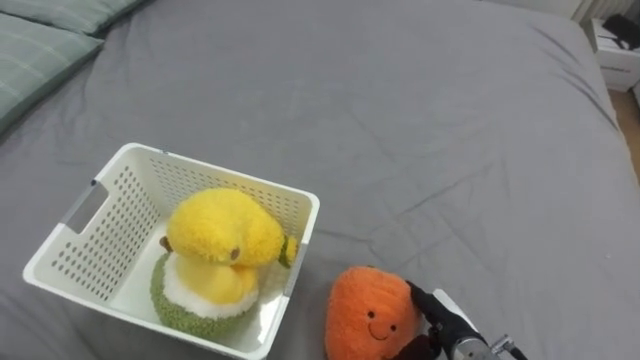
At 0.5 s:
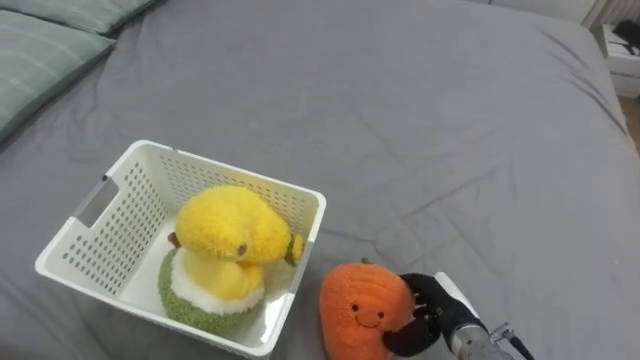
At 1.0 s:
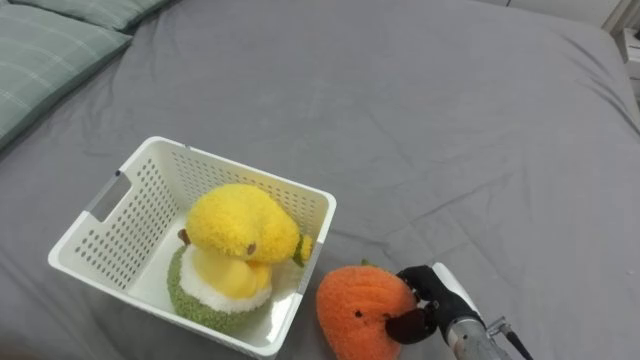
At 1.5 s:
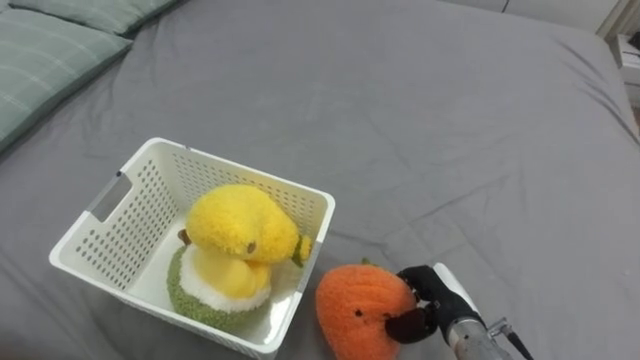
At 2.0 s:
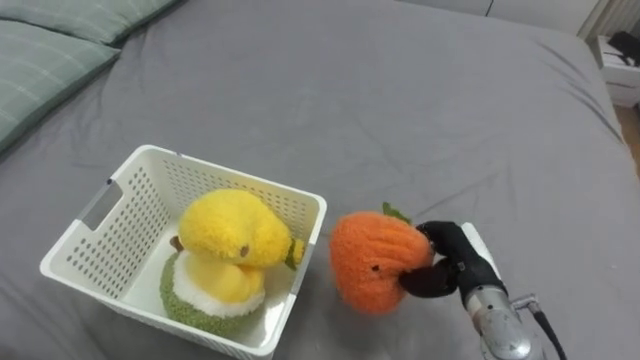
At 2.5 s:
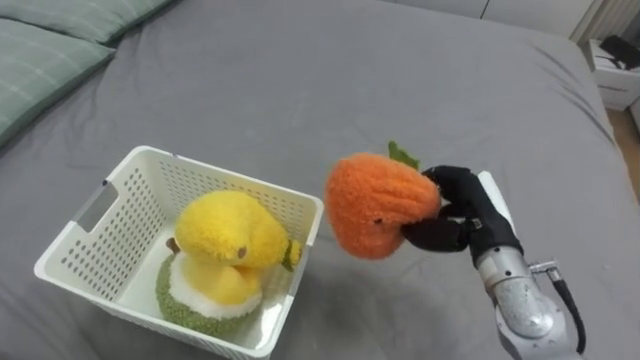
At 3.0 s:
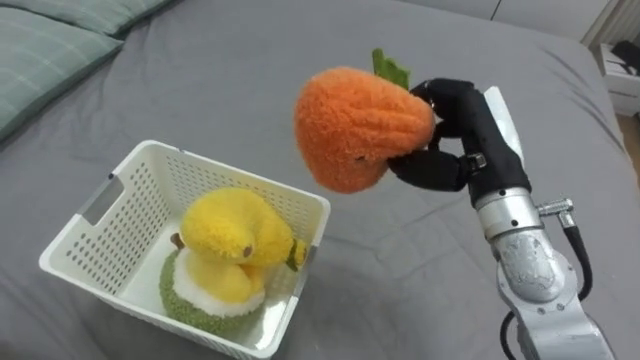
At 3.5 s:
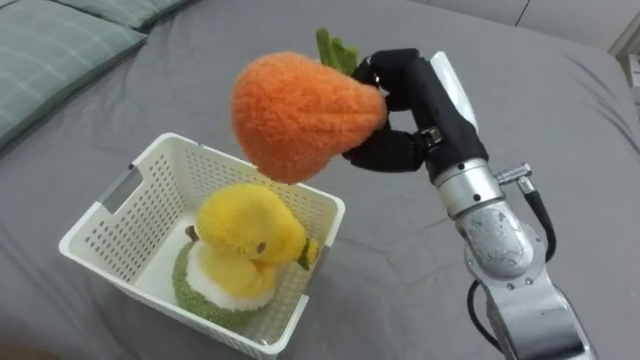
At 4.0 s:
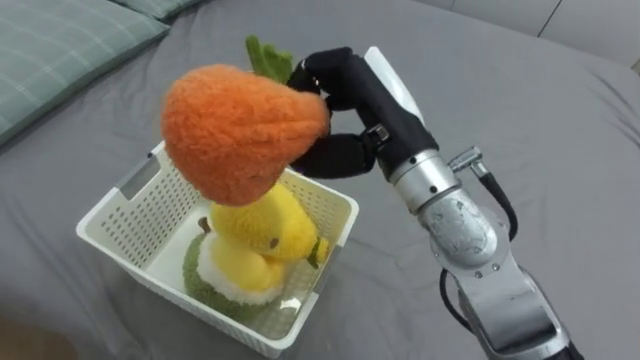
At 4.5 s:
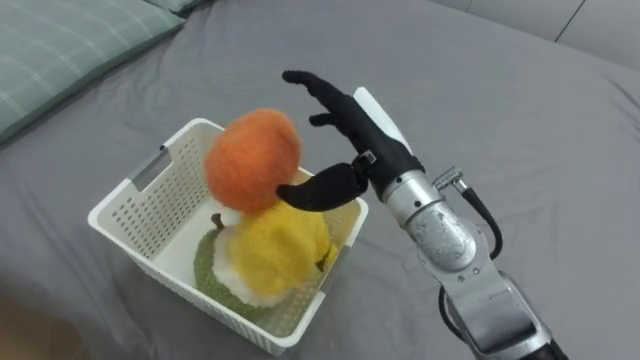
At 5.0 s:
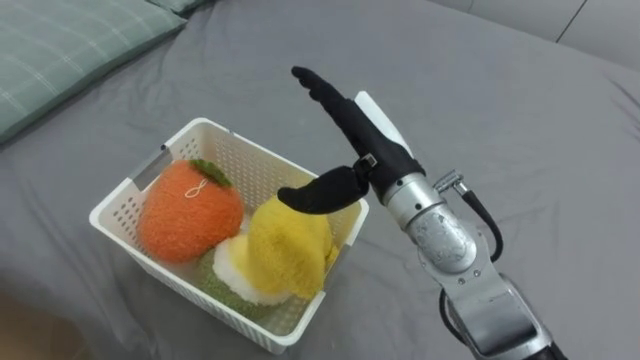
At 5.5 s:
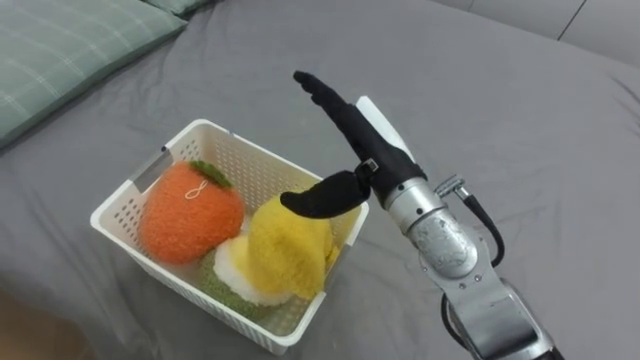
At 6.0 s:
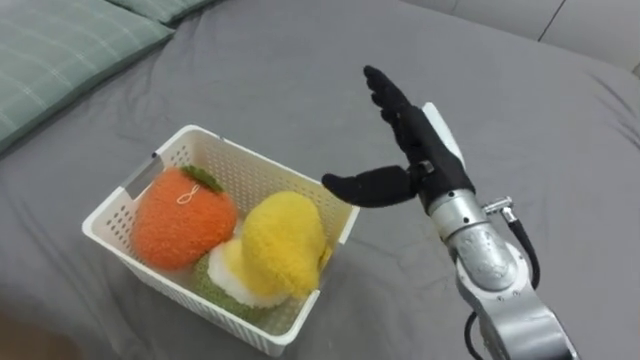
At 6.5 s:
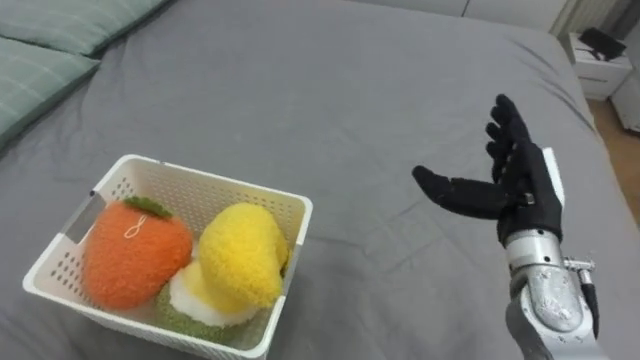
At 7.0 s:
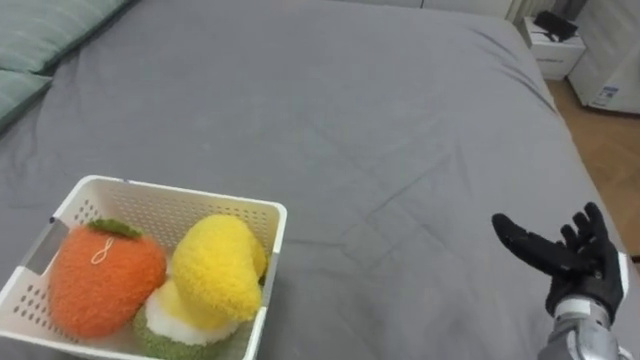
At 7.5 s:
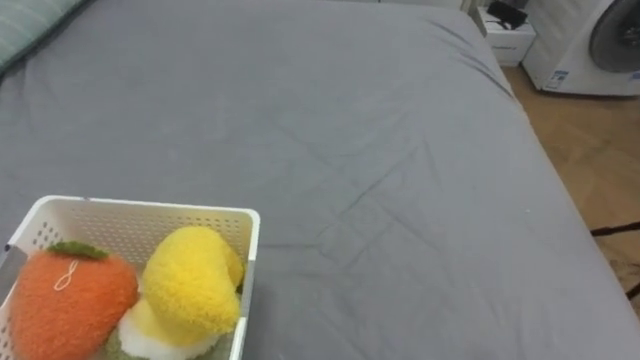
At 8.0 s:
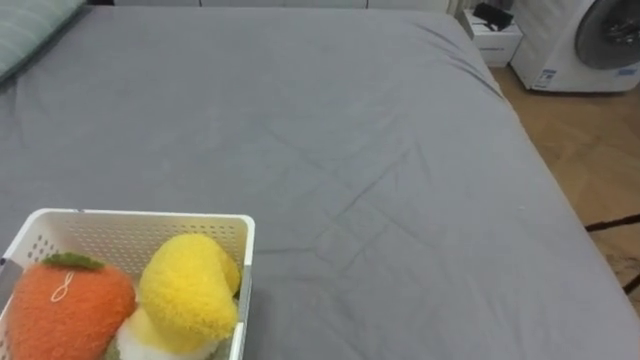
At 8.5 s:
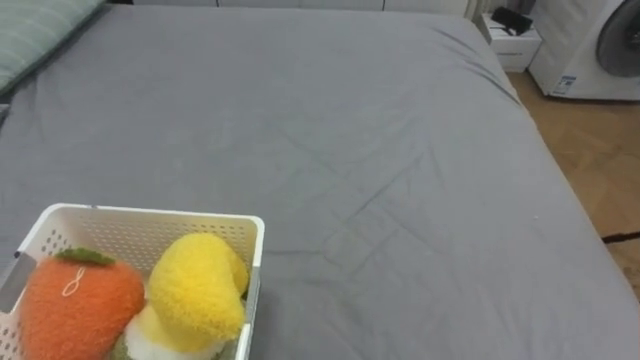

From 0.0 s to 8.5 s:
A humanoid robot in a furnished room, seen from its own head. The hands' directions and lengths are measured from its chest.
Task of the whole recording: Put the toys on the bed into the basket on the left.
From 0.0 s to 2.0 s: The right hand moves upward and forward, some 10 cm, and closes up.
From 2.0 s to 4.0 s: The right hand moves upward and to the left, some 25 cm.
From 4.0 s to 6.5 s: The right hand heads to the right and downward, covering approximately 20 cm, and opens its fingers.

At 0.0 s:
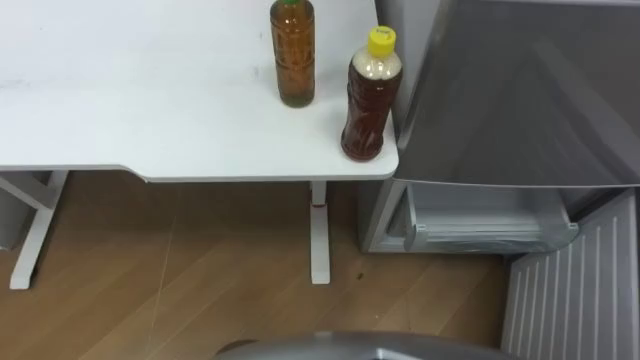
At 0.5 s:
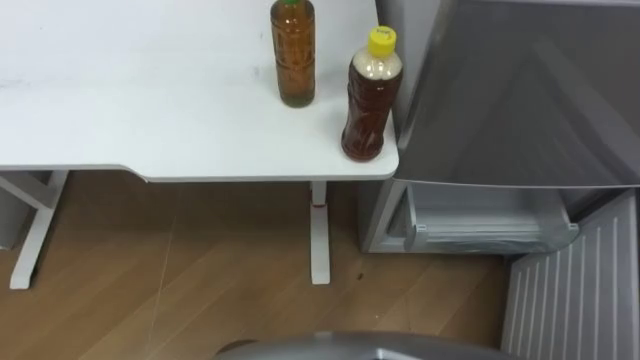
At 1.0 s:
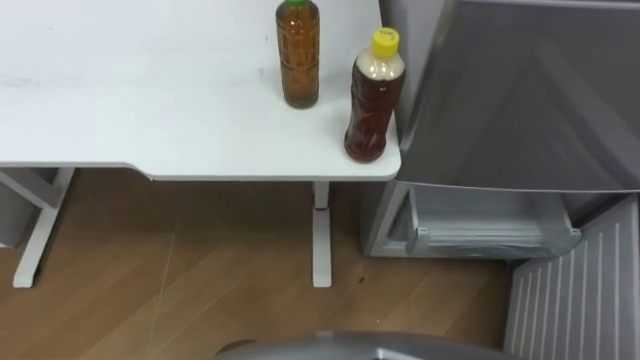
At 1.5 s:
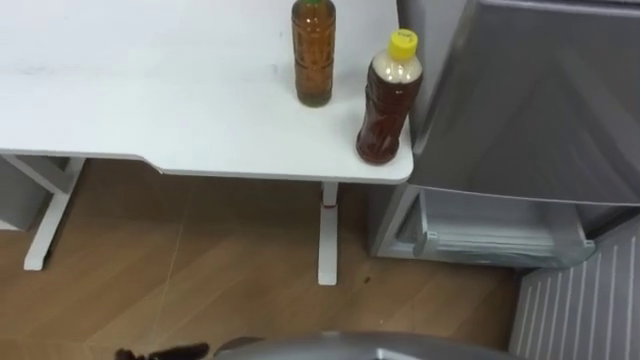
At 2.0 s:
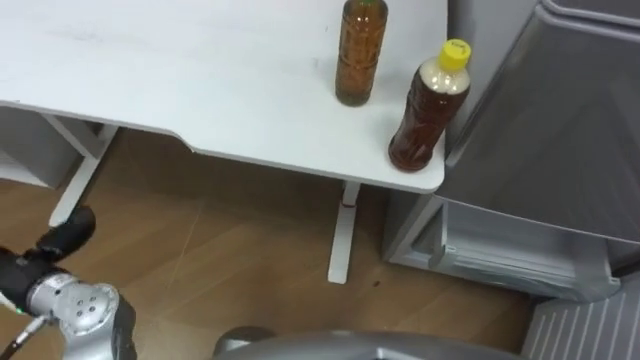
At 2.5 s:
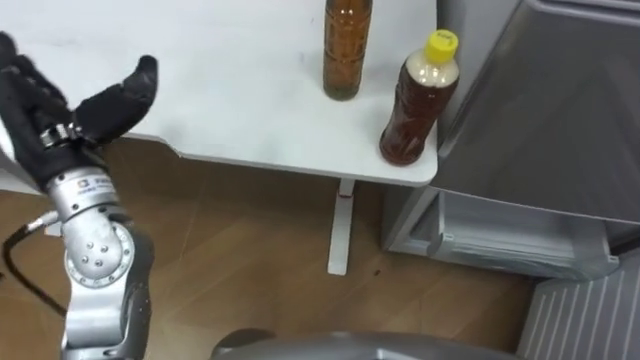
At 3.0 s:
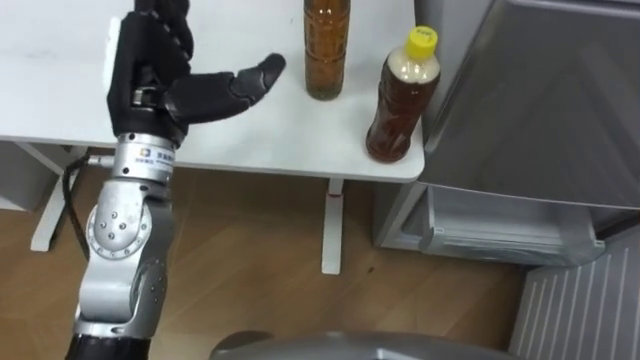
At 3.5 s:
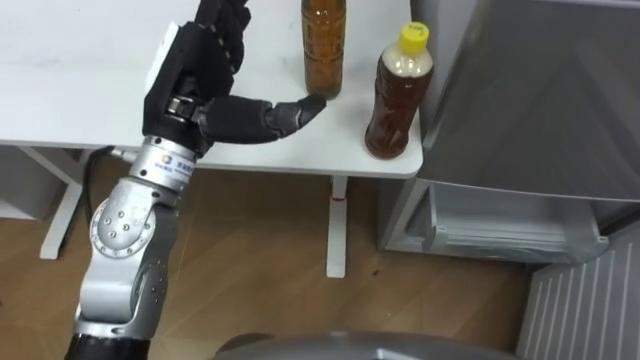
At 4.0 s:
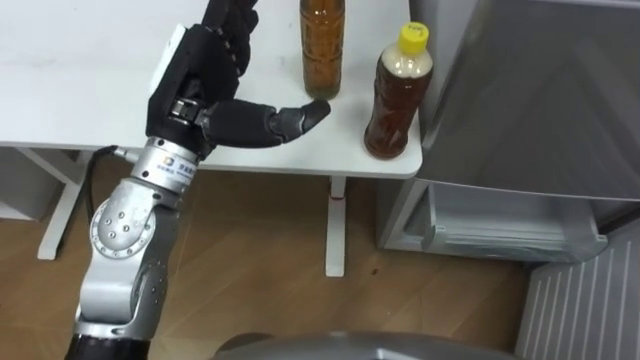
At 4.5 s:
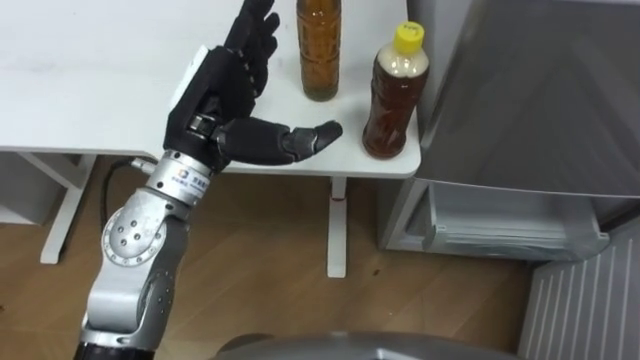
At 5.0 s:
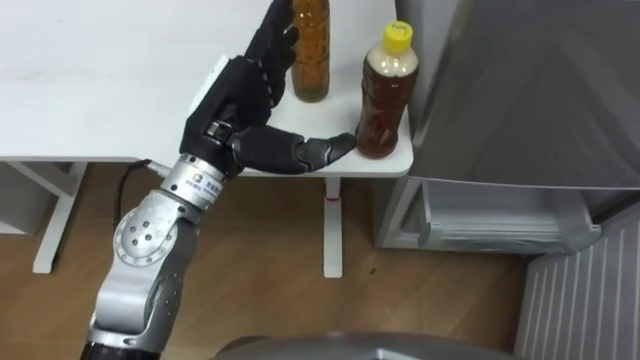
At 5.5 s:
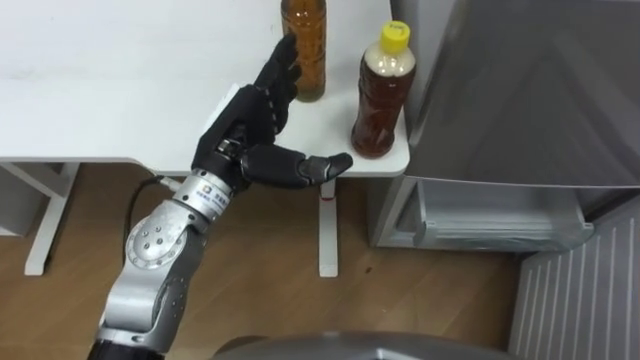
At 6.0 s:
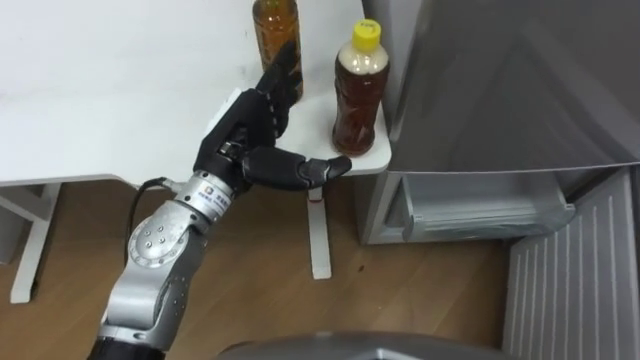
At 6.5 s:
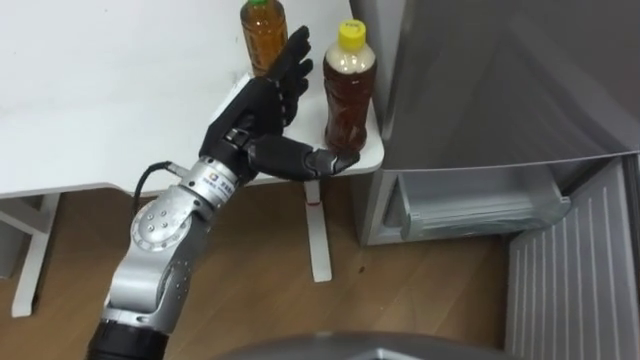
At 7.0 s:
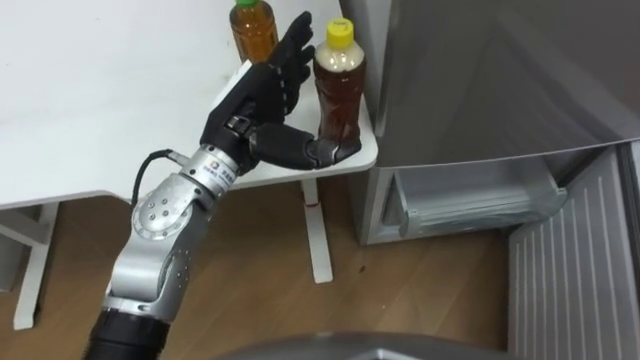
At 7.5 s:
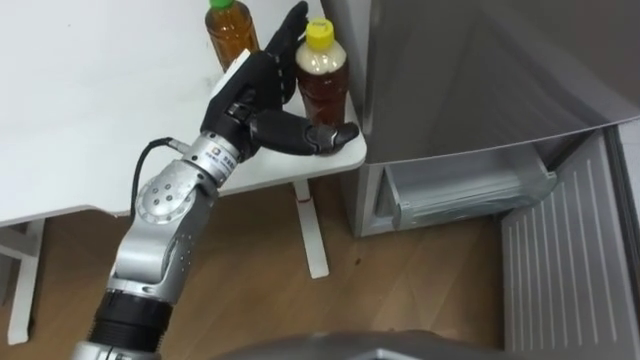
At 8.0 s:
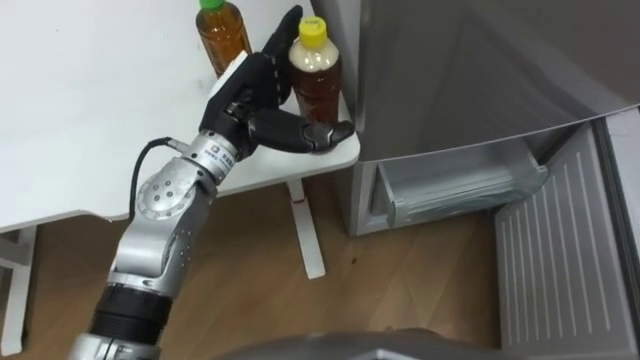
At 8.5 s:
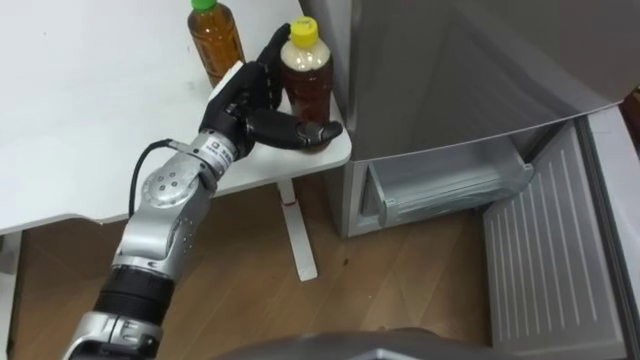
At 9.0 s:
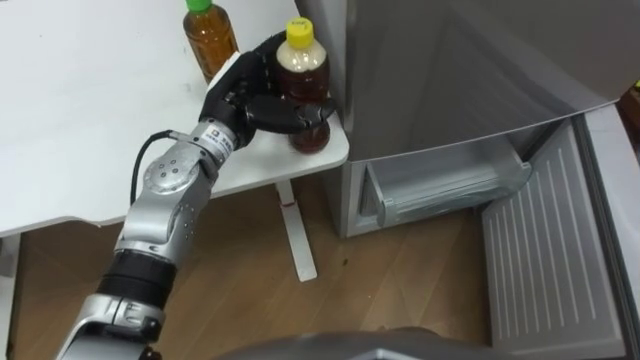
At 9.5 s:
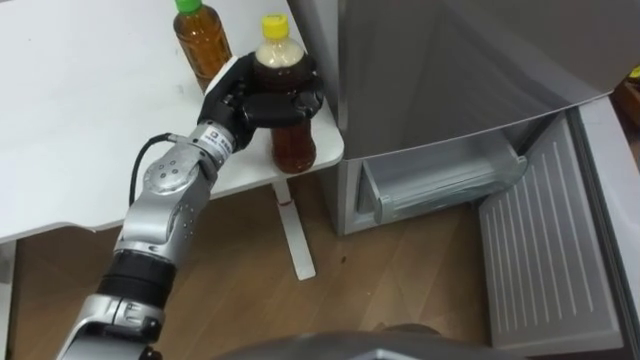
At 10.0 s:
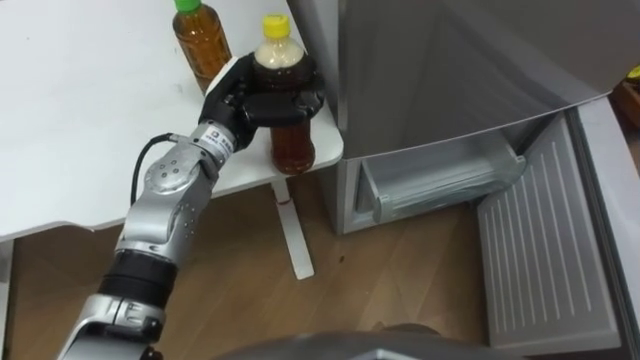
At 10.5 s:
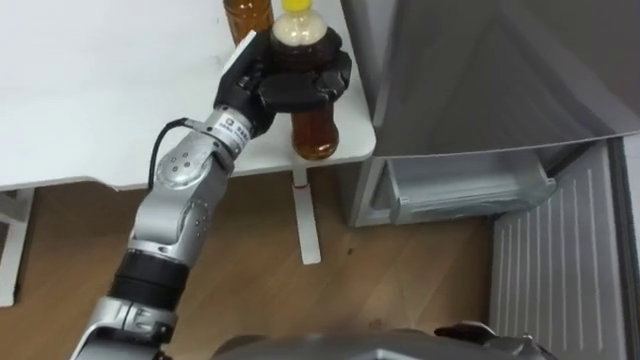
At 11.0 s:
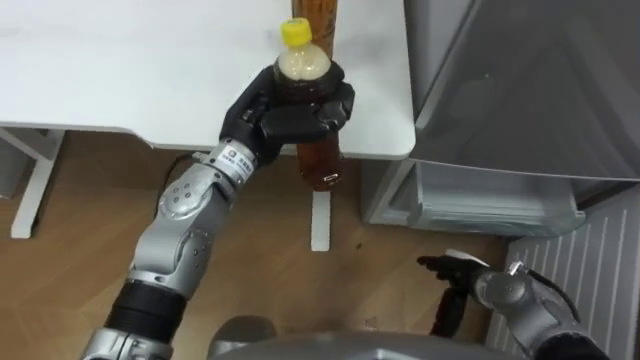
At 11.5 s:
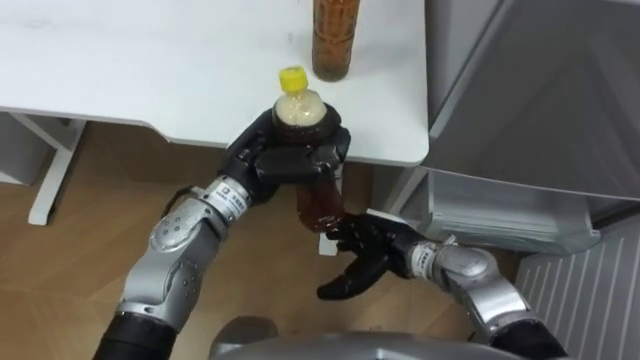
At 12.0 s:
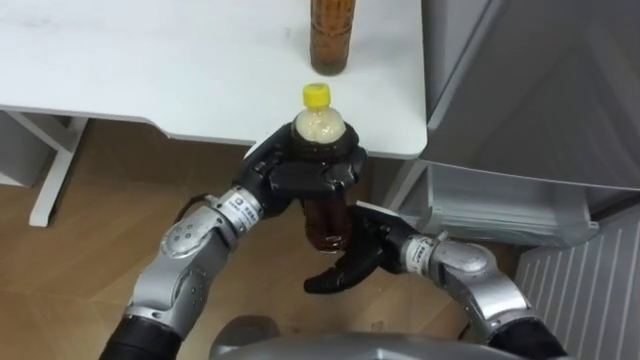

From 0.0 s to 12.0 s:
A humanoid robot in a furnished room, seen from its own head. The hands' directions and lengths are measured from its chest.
Task of the whole recording: Place the drink on the table on the bottom shelf of the refrigerator, then close the drawer and the refrigerator door.
From 4.0 s to 6.0 s: The left hand is displaced downward by approximately 5 cm.
From 8.0 s to 10.0 s: The left hand closes up.
From 10.0 s to 12.0 s: The left hand shifts about 10 cm backward.
